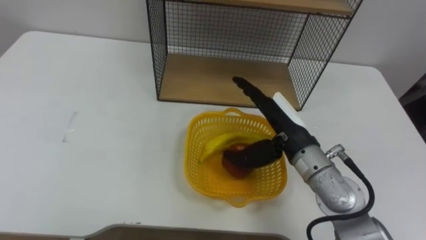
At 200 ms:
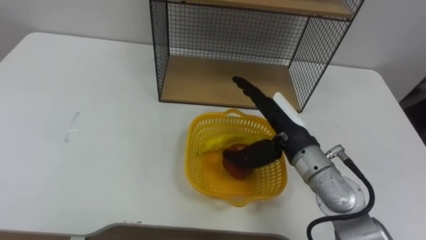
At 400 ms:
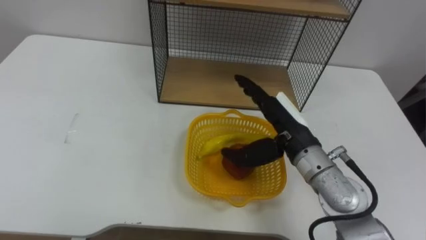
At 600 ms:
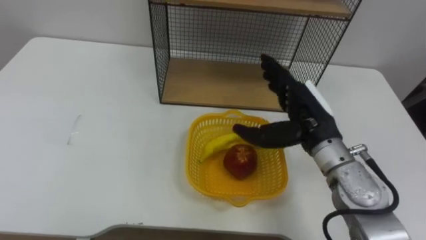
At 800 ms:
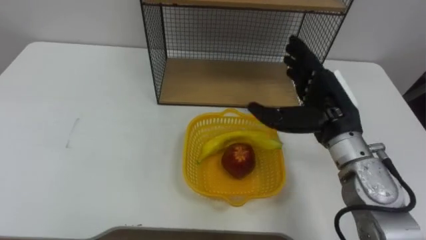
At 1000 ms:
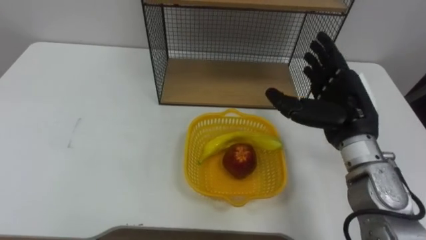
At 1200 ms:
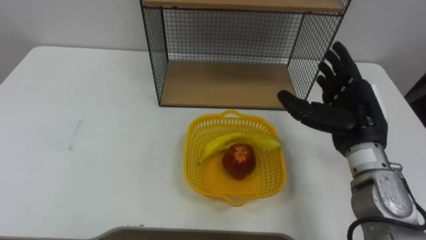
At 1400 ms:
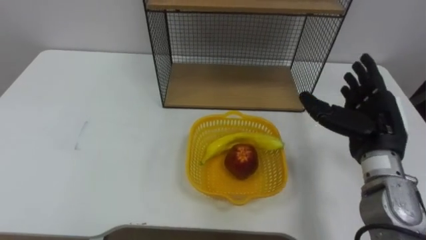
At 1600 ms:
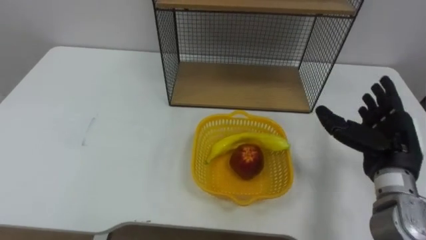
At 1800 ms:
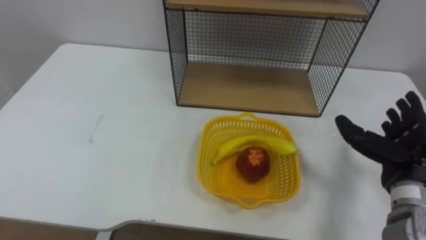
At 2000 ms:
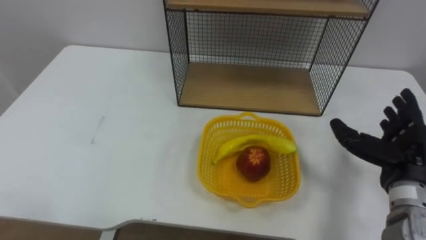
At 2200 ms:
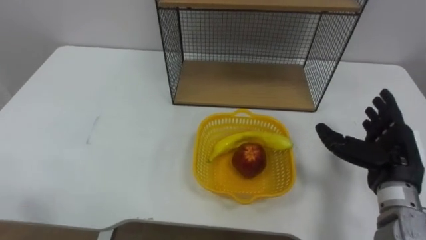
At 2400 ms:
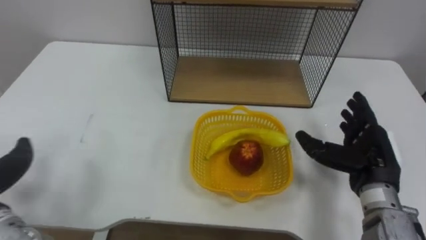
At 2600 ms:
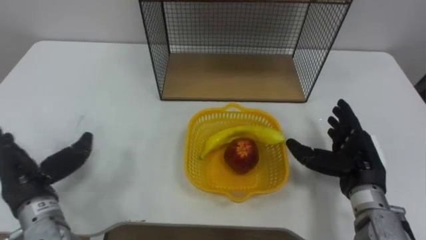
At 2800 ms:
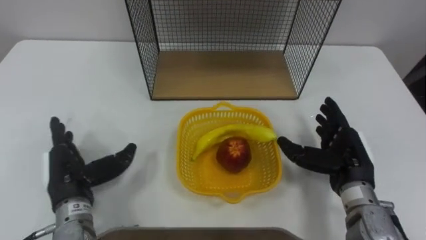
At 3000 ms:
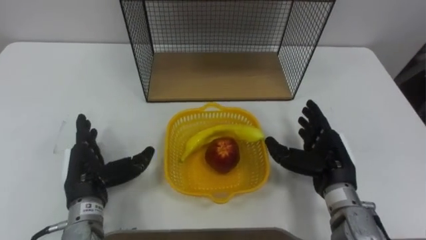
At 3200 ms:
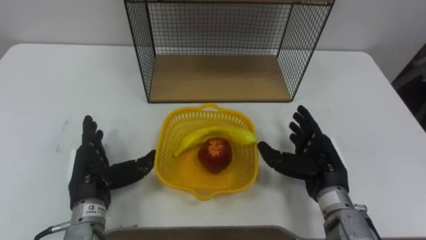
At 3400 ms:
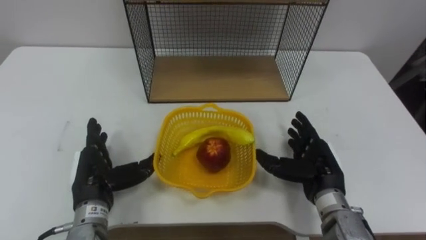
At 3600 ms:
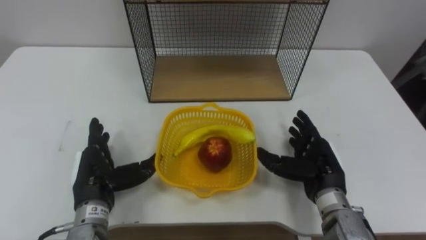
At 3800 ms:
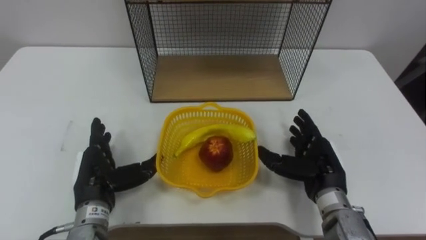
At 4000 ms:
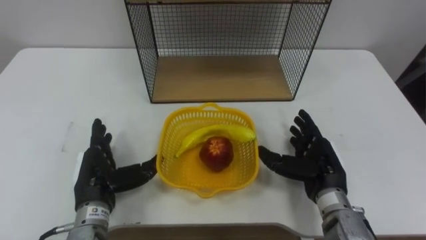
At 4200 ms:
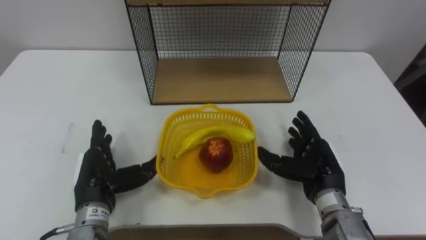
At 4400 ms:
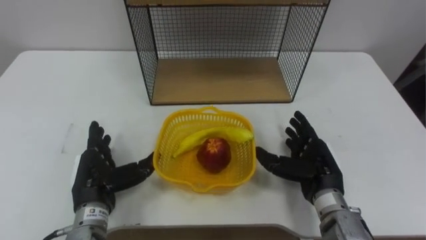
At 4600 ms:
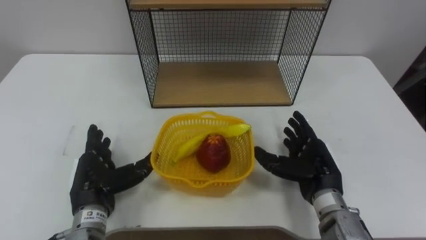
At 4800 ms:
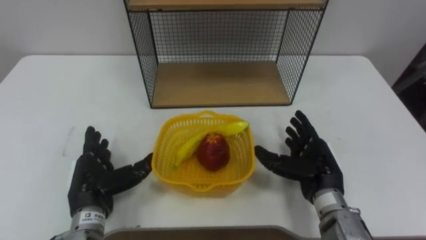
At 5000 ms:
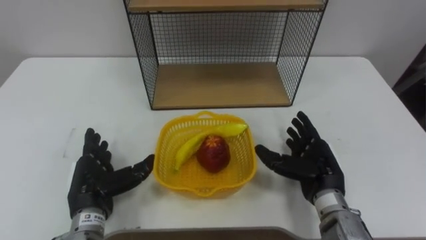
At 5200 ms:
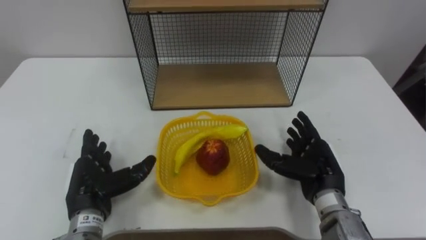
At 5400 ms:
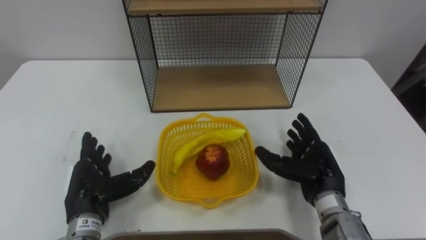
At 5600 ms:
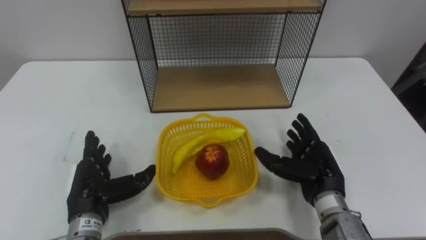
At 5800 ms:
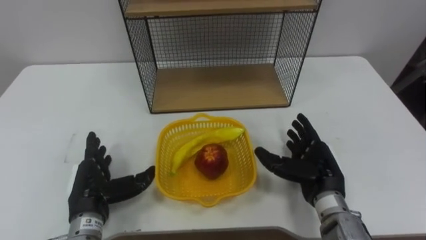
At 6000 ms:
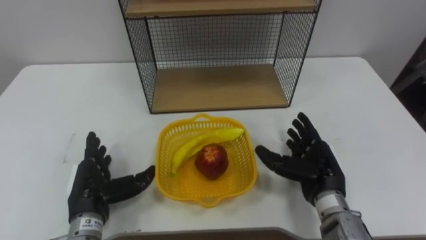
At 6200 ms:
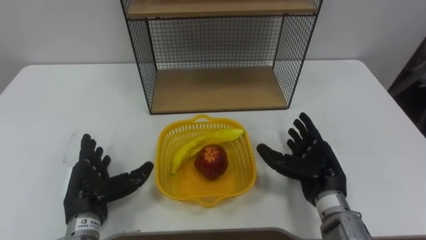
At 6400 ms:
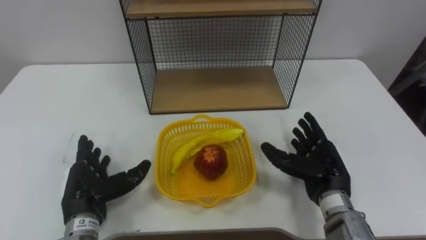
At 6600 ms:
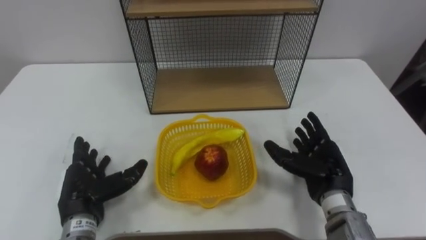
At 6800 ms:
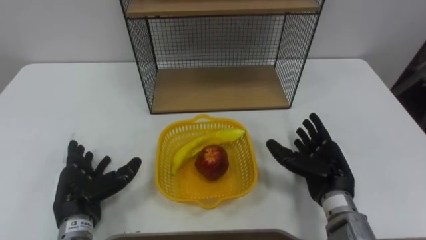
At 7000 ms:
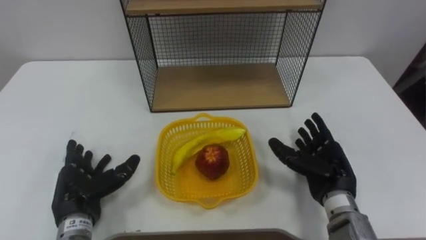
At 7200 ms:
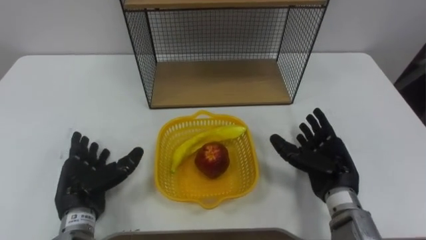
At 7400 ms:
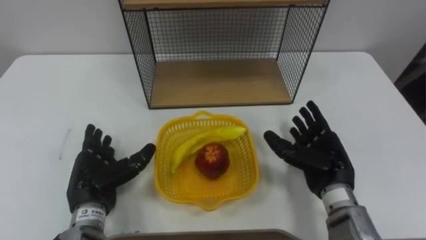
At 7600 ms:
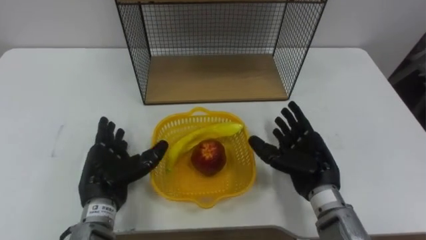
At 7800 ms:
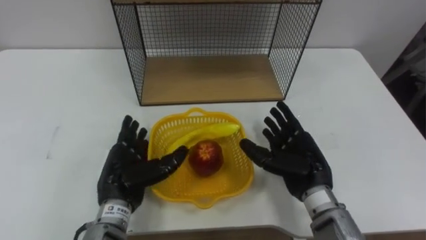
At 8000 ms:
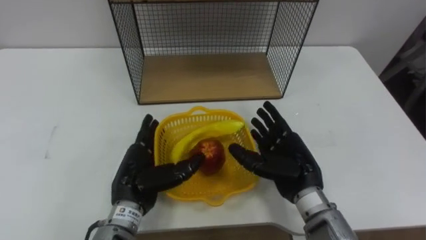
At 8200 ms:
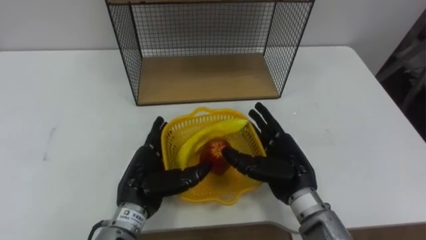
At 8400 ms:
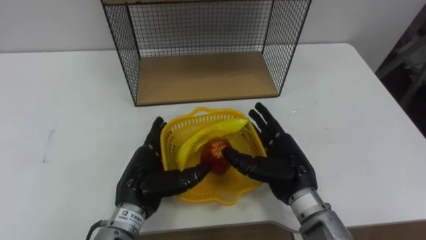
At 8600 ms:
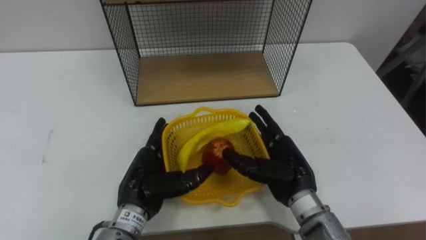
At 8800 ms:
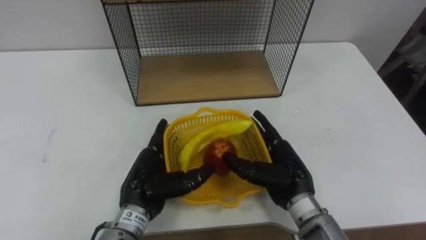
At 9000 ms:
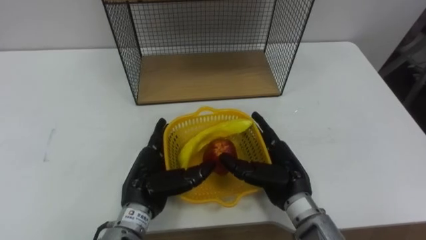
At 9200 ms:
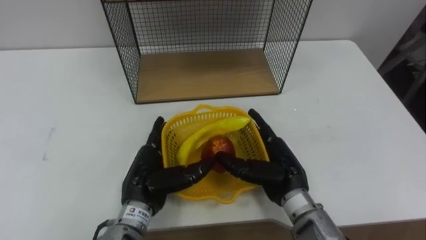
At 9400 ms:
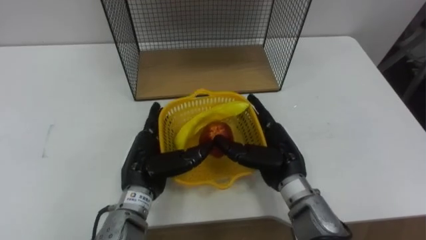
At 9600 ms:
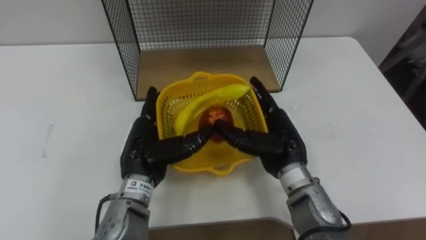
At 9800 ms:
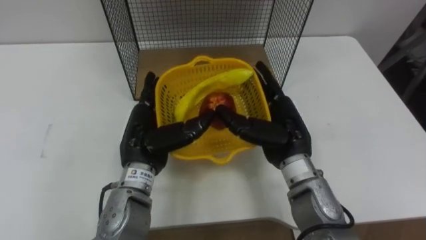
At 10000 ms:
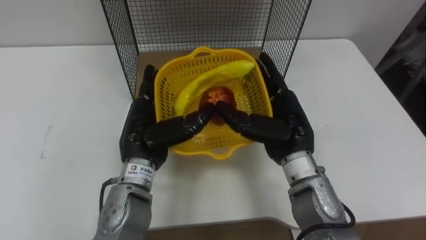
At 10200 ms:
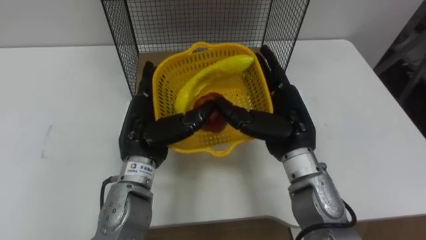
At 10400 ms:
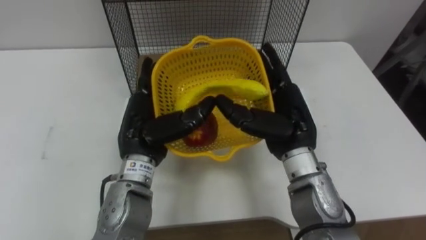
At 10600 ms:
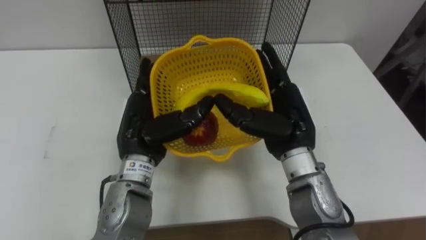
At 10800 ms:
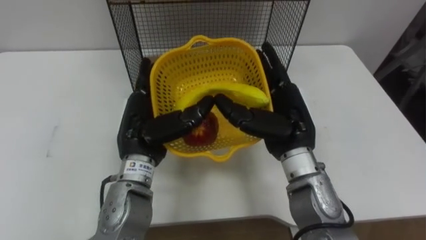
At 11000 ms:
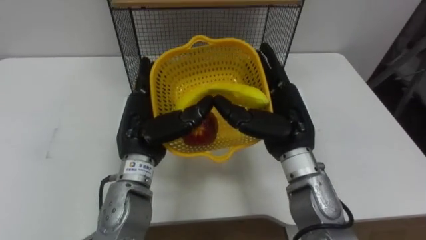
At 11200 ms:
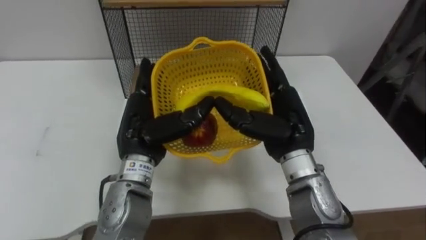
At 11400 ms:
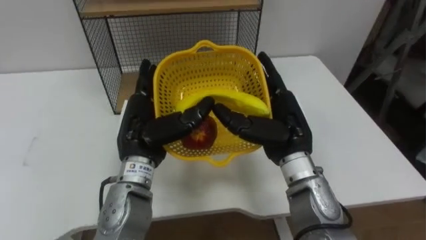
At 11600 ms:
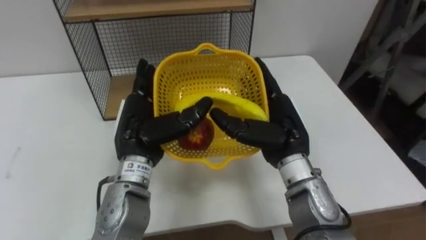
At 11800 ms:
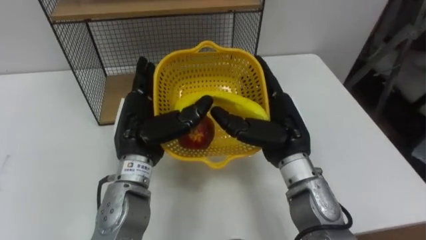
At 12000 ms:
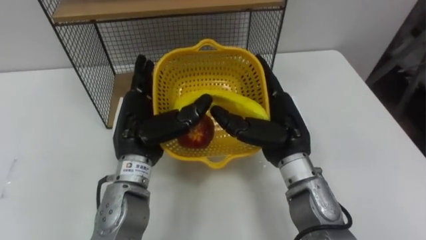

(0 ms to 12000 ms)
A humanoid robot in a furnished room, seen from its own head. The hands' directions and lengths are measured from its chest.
Task of the whole recording: Put the fruit on the table into the basket, then place the basket on the shelf.
0 ms - 1600 ms: The right hand travels to the right by approximately 15 cm.
1600 ms - 3000 ms: The right hand travels to the left and downward by some 10 cm.
4400 ms - 6000 ms: There are only small adjustments of the hands.
7600 ms - 9000 ms: The left hand shifts some 10 cm to the right, while the right hand goes roughly 5 cm to the left.
9000 ms - 10400 ms: The left hand heads upward and forward, covering approximately 10 cm. The right hand shifts about 10 cm upward.

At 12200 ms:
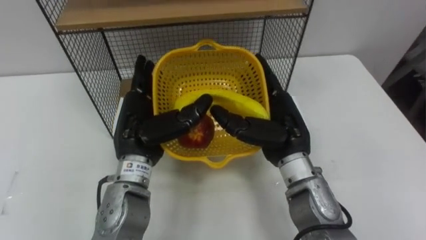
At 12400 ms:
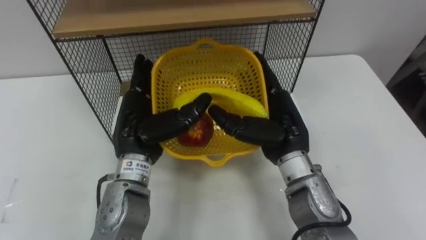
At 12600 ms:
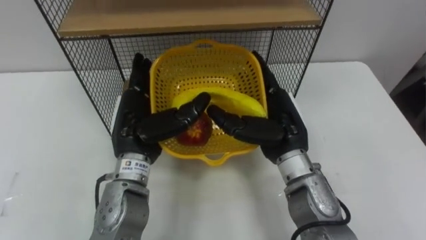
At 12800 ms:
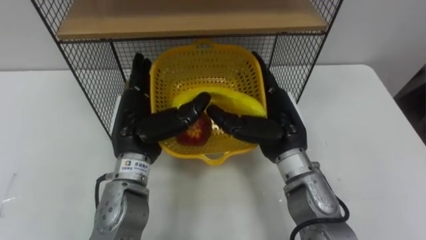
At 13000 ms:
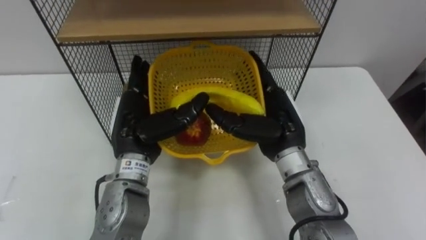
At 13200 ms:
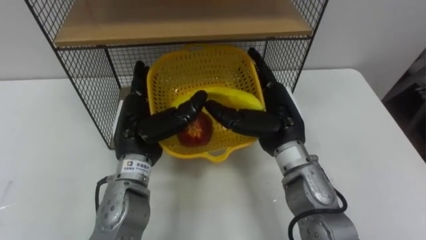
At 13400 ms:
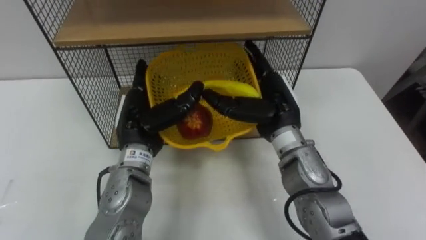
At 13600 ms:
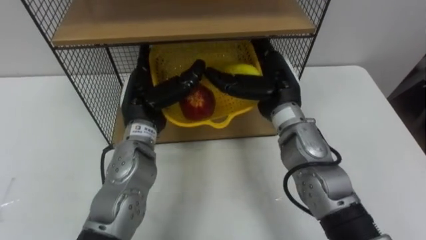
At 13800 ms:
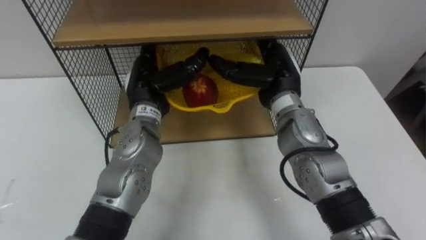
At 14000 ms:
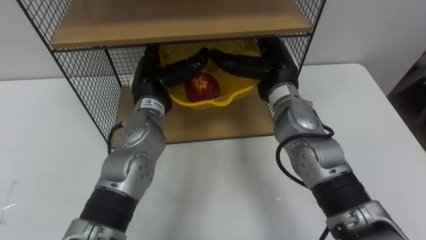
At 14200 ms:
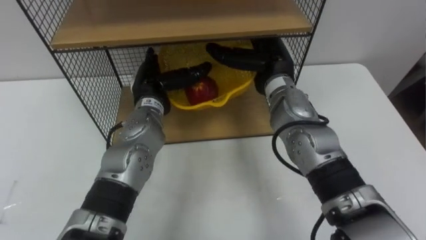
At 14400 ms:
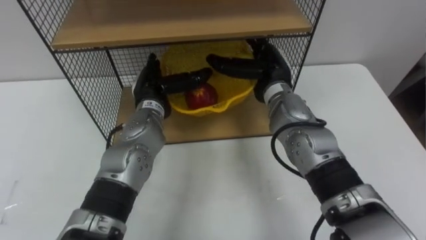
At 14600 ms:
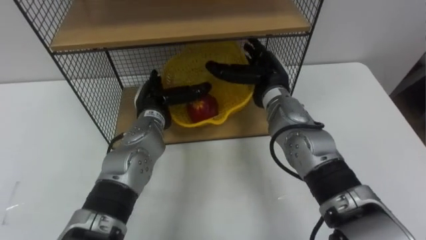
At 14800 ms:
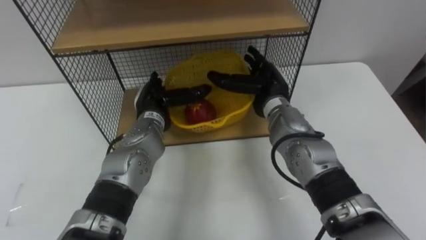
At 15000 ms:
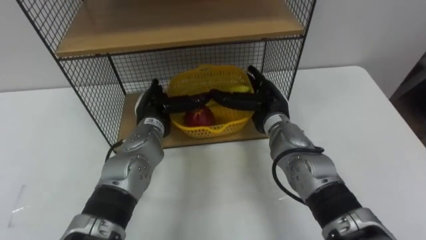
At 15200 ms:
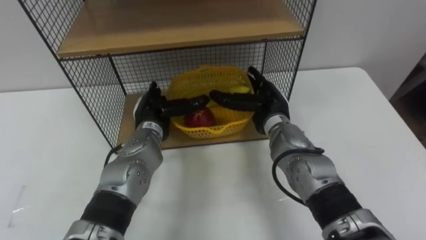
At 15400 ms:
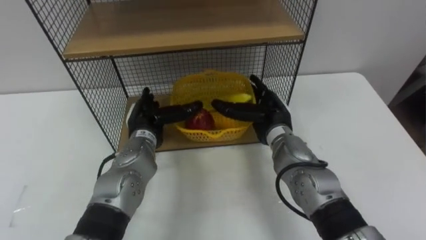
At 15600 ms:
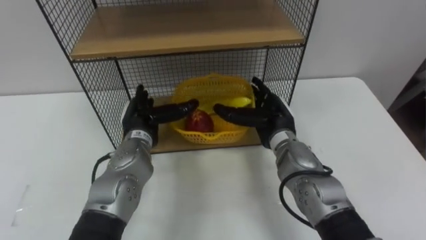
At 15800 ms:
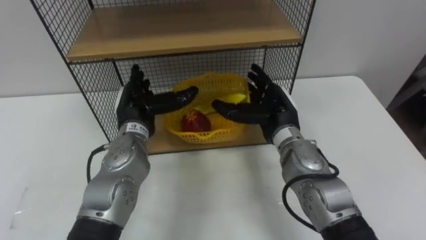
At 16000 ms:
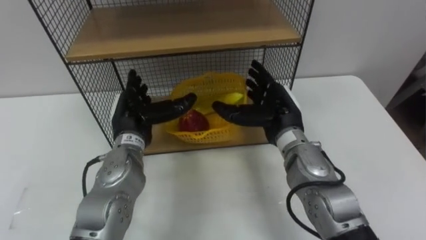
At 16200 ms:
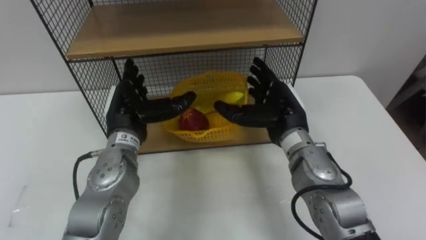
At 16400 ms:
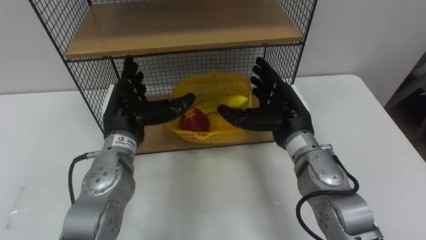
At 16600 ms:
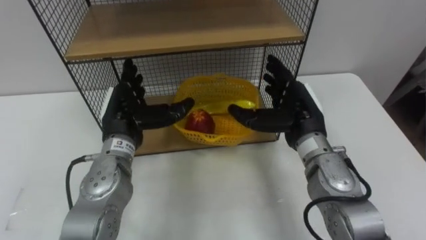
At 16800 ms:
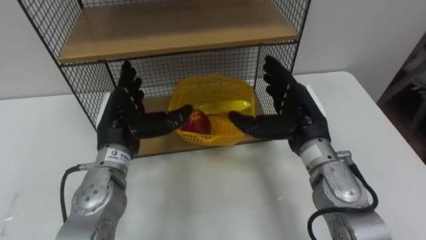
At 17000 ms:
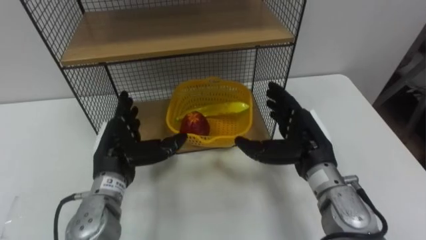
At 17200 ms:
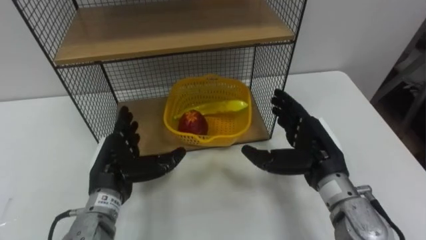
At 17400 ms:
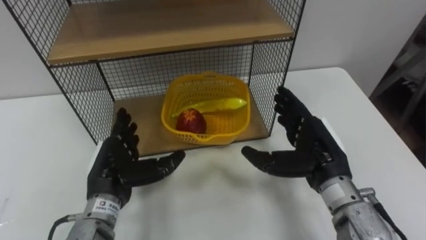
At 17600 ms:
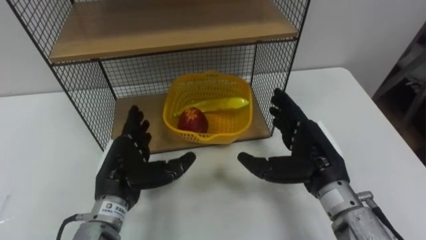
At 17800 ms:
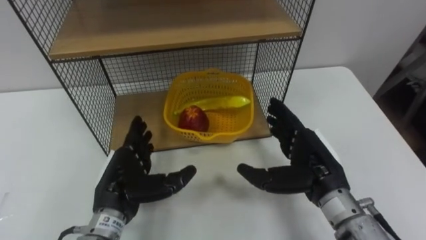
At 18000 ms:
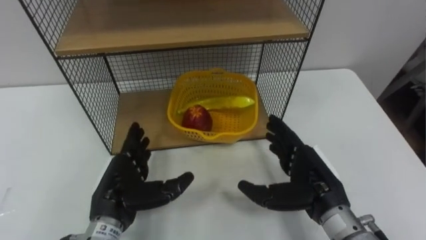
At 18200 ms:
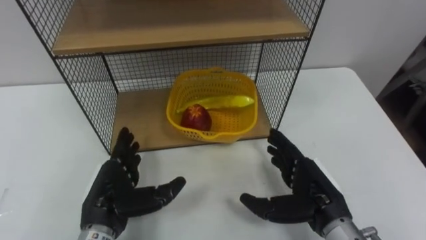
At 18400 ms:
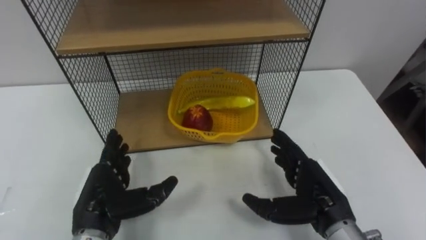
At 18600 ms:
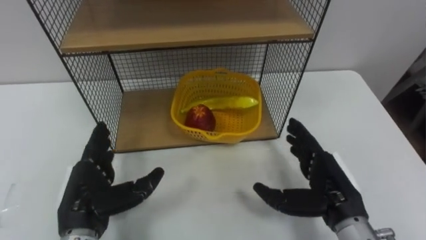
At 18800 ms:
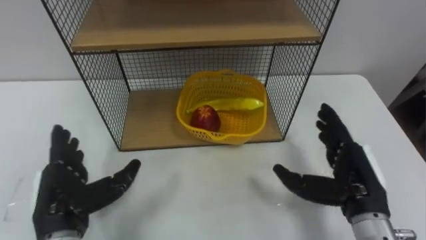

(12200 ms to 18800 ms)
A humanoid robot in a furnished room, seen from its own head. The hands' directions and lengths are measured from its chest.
Task of the whole recording: Put the fruit on the table into the basket, then place the basket on the shelf.
12200 ms - 13800 ms: Both hands travel together forward, about 10 cm.
13800 ms - 15400 ms: Both hands move downward, approximately 10 cm.
15400 ms - 17200 ms: The right hand heads backward and to the right, covering some 10 cm. The left hand travels backward by roughly 10 cm.
17200 ms - 18800 ms: The right hand travels backward by about 5 cm. Meanwhile the left hand heads backward and to the left, covering approximately 10 cm.
